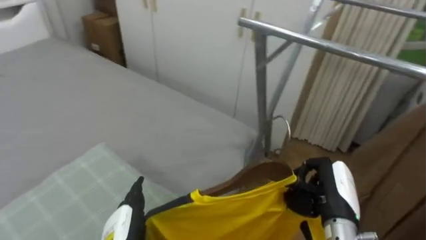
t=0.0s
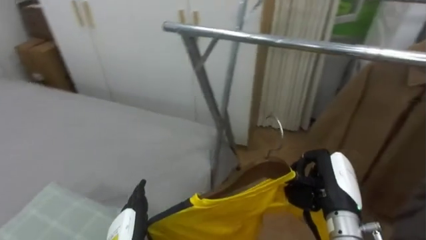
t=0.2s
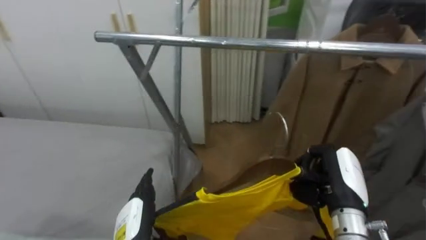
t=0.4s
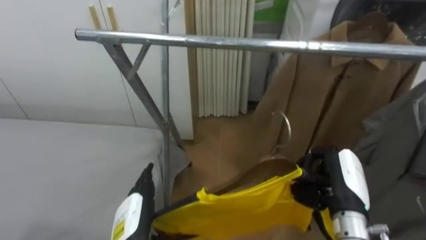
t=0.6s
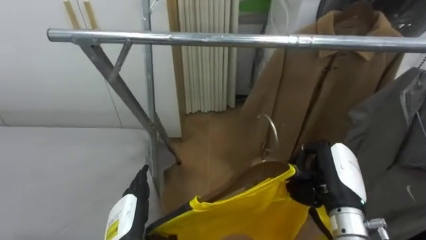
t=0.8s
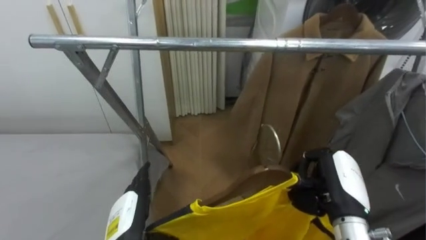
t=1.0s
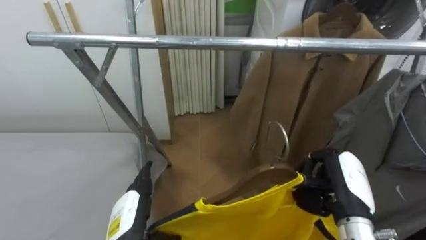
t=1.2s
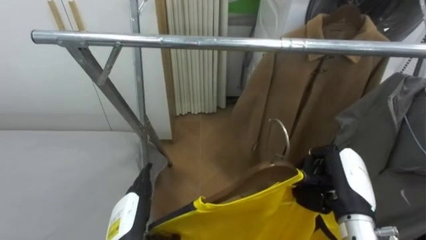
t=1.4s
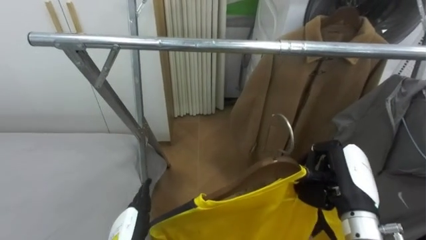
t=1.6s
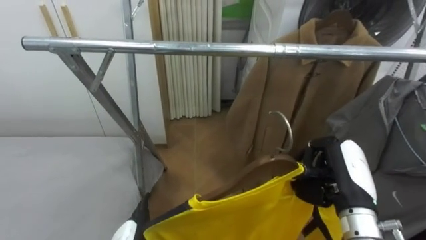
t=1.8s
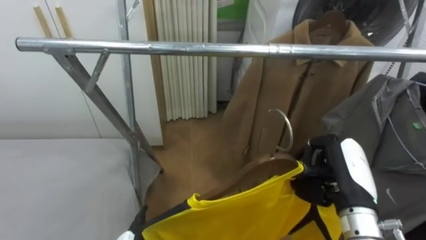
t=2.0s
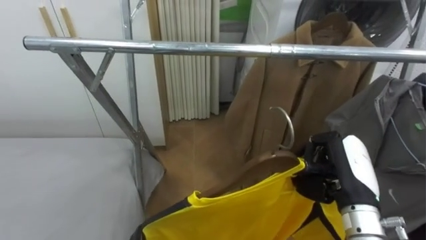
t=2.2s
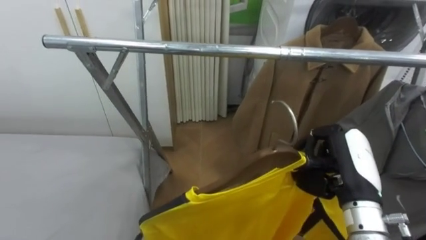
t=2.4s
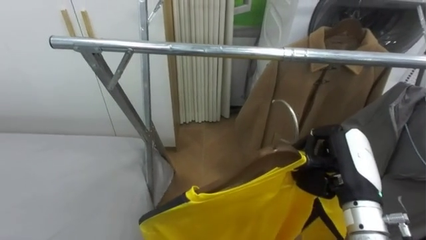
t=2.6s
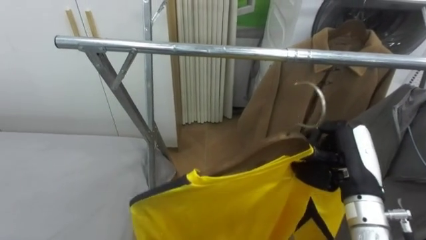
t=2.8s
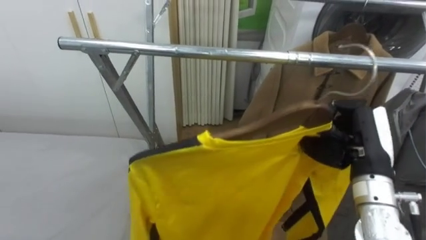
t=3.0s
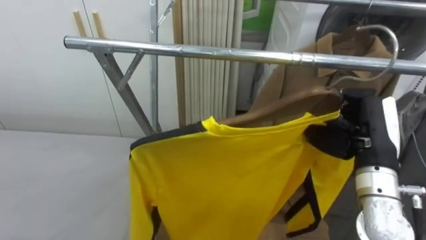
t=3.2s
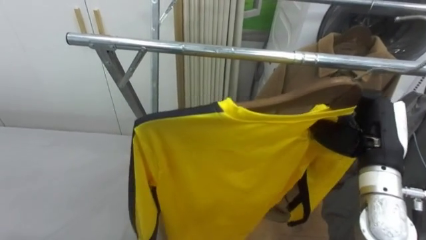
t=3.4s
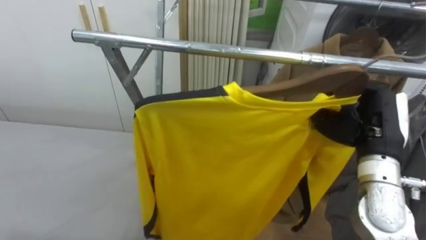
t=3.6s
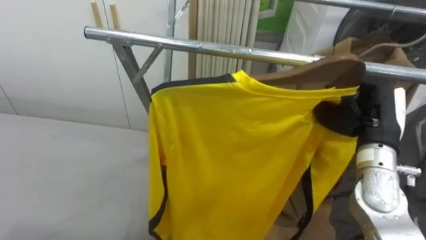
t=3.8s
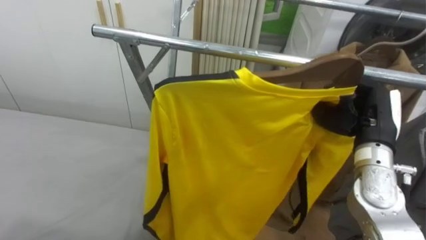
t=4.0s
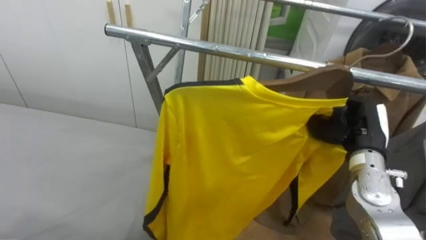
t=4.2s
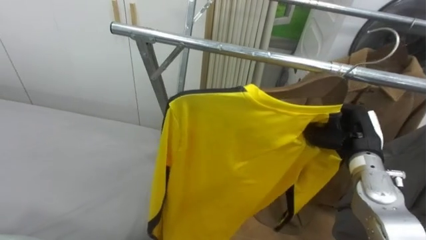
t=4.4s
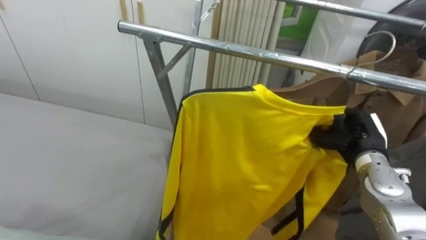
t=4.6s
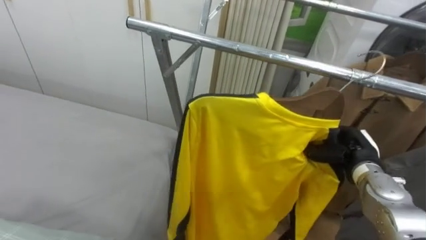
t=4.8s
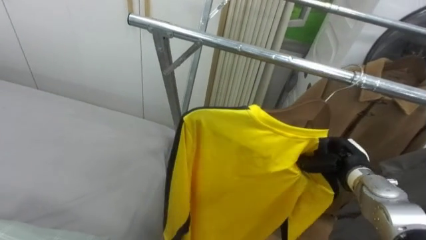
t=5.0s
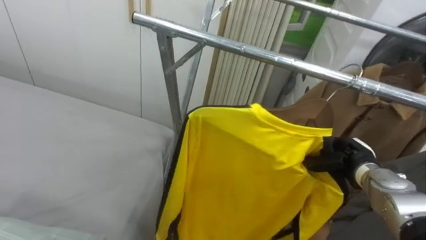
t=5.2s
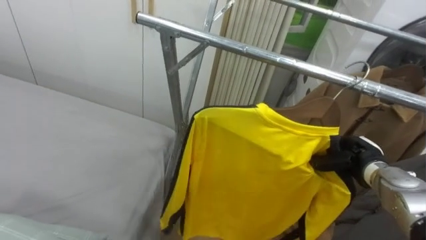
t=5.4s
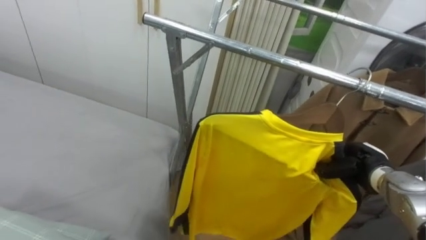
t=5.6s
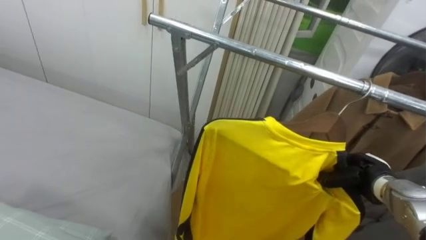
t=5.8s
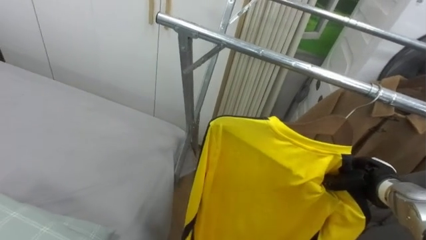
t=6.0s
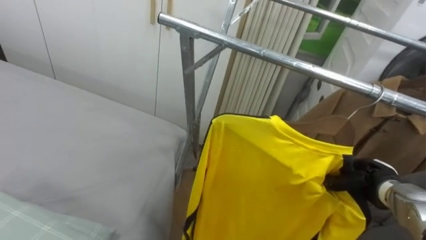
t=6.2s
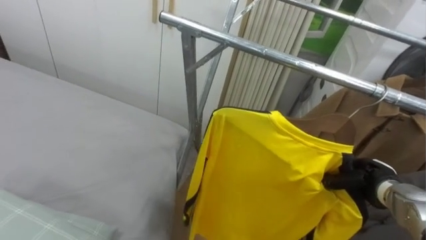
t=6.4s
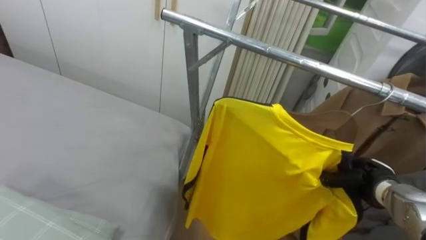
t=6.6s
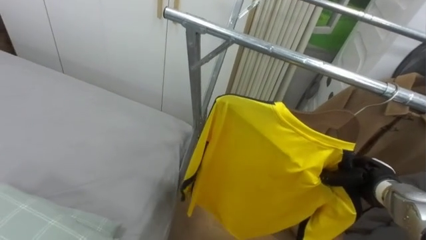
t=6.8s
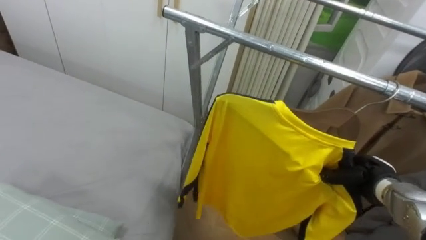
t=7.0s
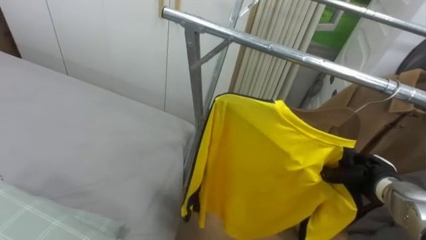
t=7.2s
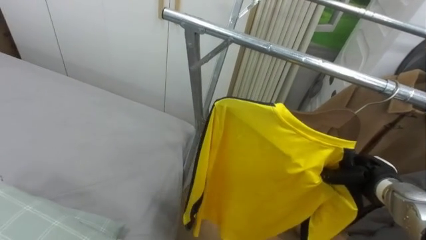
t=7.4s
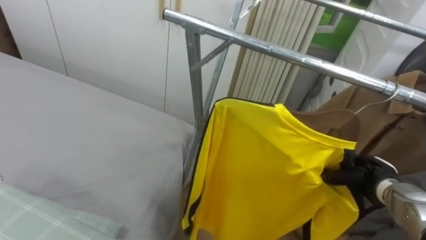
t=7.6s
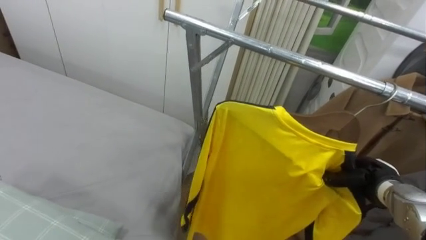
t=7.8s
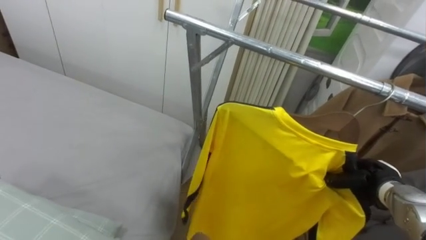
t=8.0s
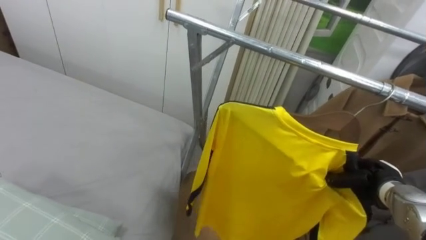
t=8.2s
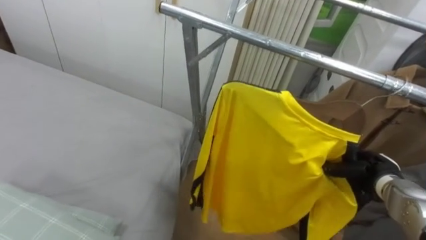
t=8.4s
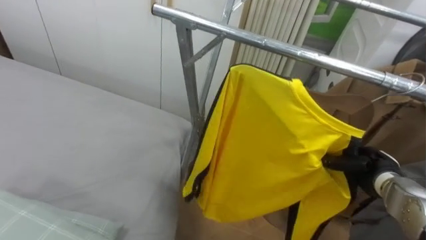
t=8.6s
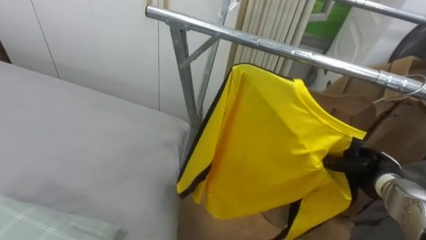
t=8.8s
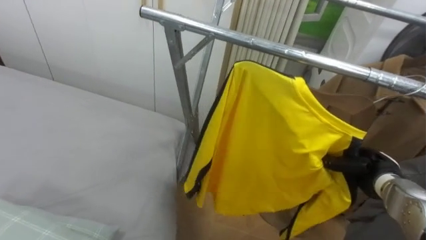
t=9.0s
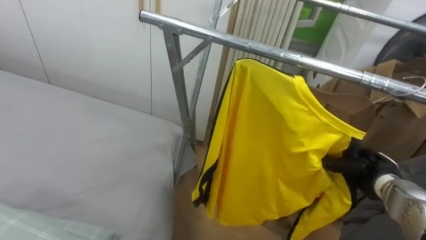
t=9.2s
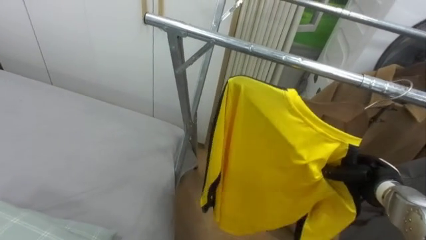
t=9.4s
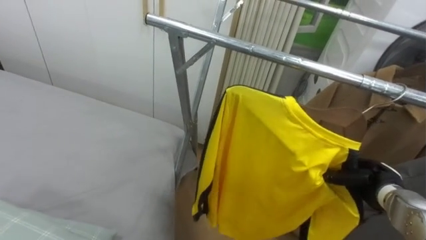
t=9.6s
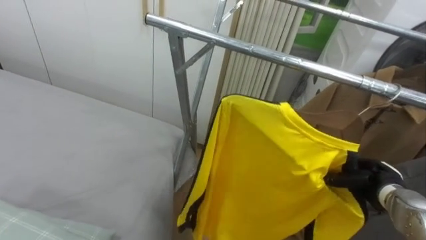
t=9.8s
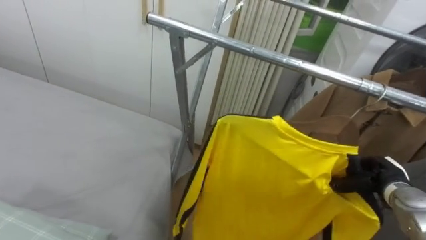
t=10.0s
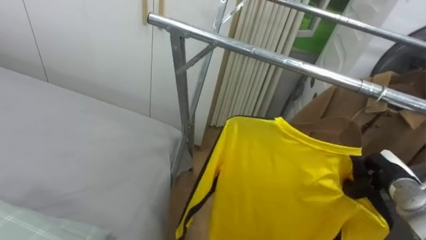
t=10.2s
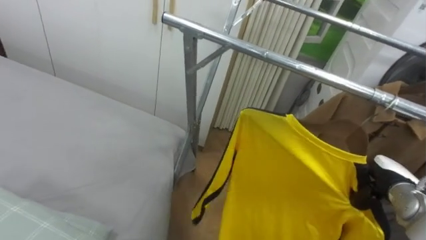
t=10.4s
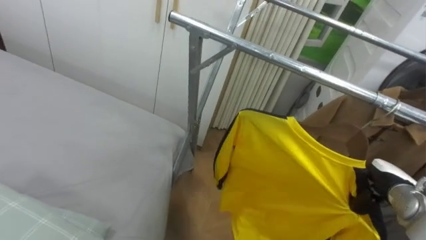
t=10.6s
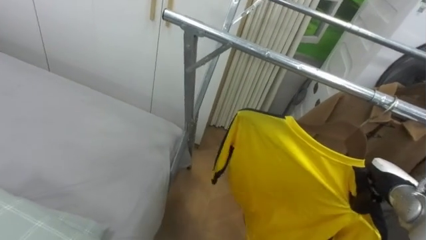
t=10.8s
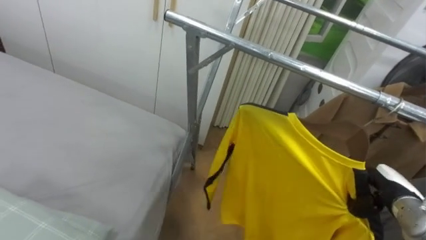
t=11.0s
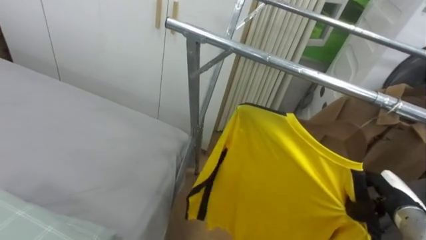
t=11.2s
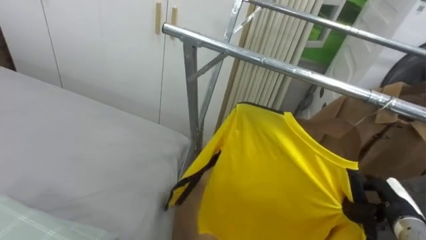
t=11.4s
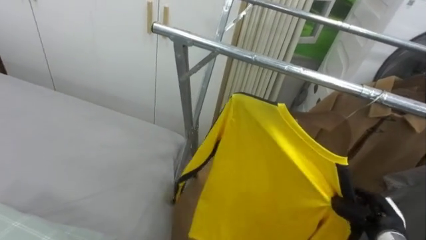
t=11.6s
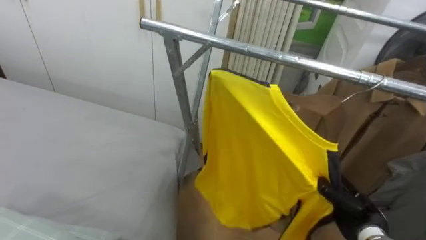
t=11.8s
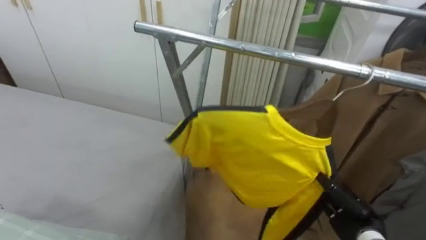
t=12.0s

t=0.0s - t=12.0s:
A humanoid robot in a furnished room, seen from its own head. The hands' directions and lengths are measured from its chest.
Task of the whole recording: Pick up the yellow shirt on the bed and hang it on the clothes rack on the right.
t=0.0s - t=1.6s: The robot's body swings roughly 35 degrees to its right. The right hand shifts approximately 5 cm upward.
t=1.6s - t=3.0s: The right hand is displaced upward by roughly 5 cm.
t=3.0s - t=4.4s: The right hand travels forward and downward by about 10 cm.
t=4.4s - t=6.0s: The right hand heads downward and to the right, covering approximately 10 cm.
t=10.4s - t=12.0s: The right hand goes approximately 10 cm downward, to the left and backward, and opens.

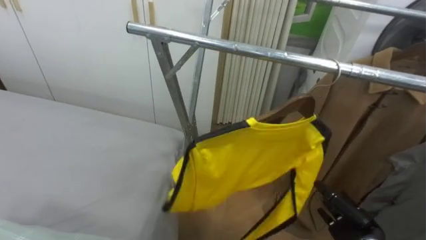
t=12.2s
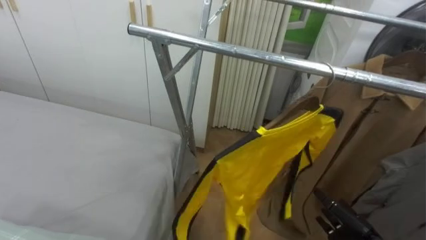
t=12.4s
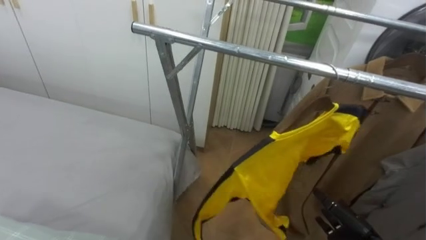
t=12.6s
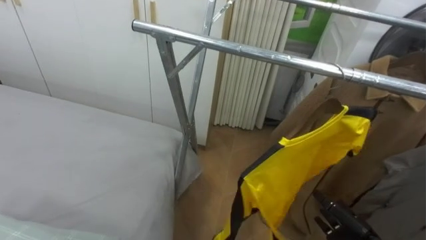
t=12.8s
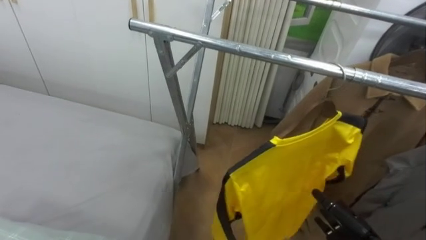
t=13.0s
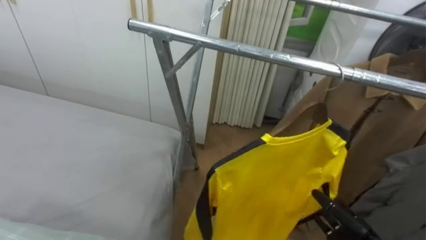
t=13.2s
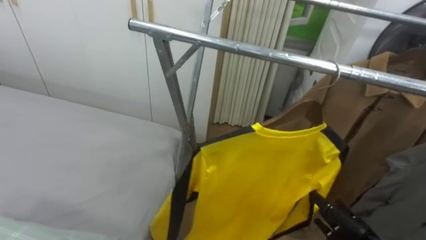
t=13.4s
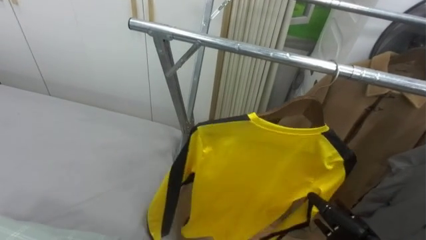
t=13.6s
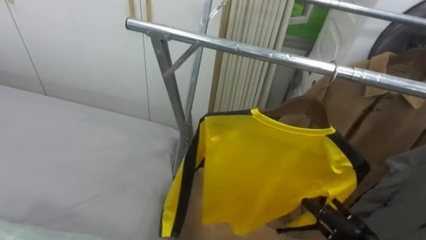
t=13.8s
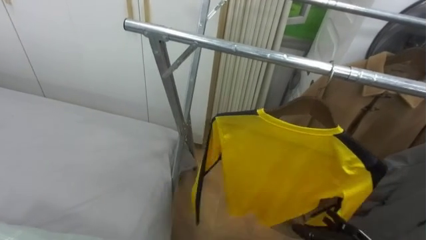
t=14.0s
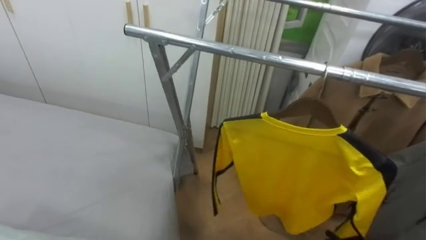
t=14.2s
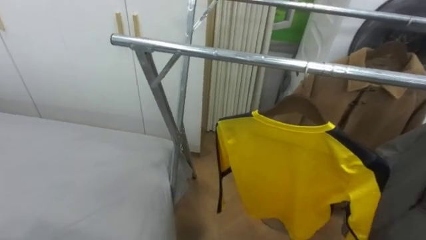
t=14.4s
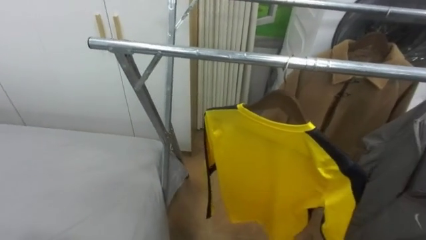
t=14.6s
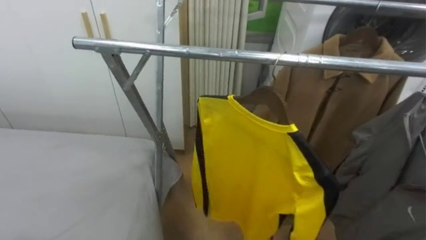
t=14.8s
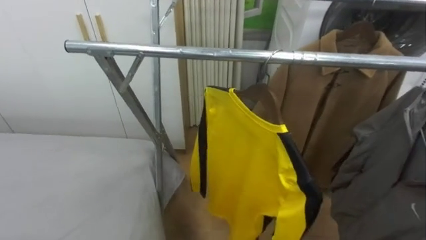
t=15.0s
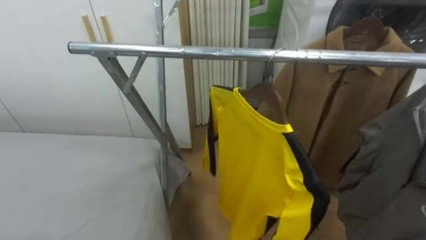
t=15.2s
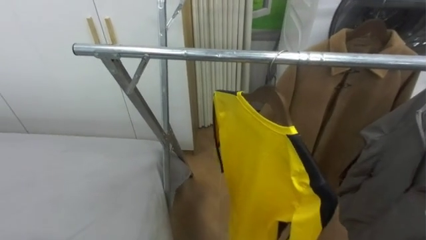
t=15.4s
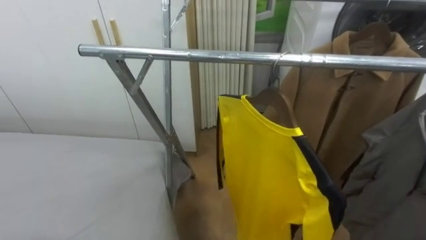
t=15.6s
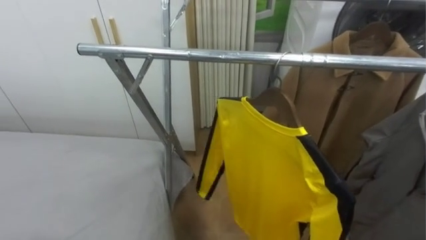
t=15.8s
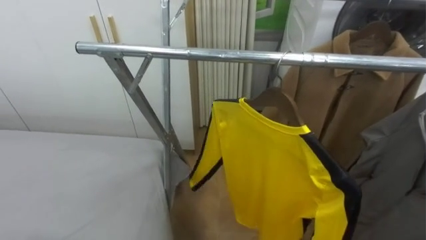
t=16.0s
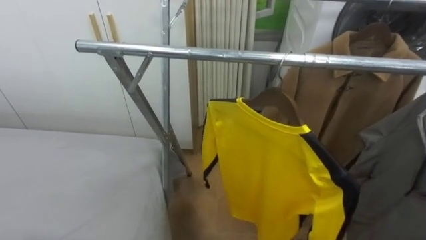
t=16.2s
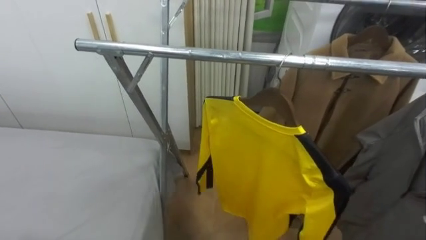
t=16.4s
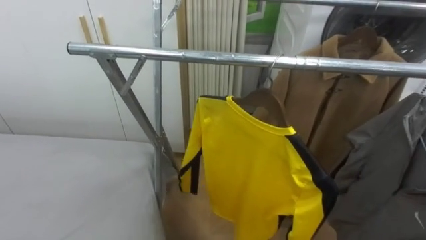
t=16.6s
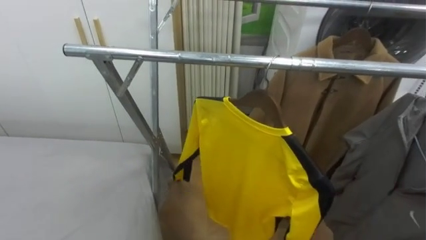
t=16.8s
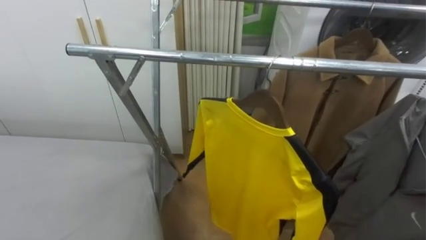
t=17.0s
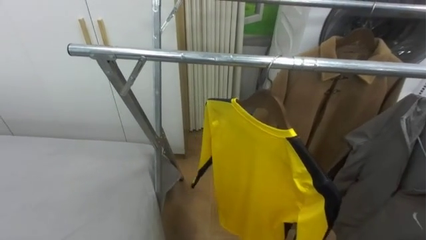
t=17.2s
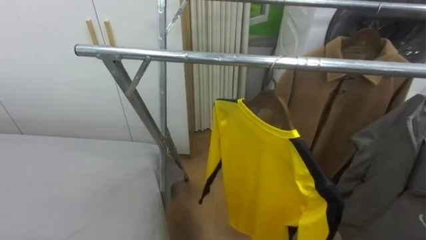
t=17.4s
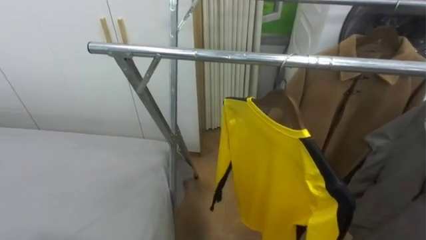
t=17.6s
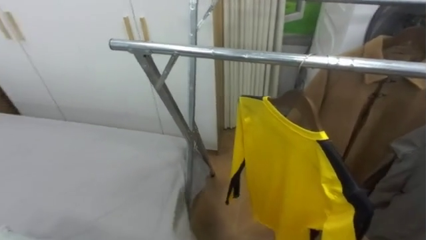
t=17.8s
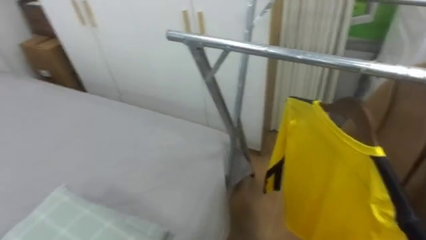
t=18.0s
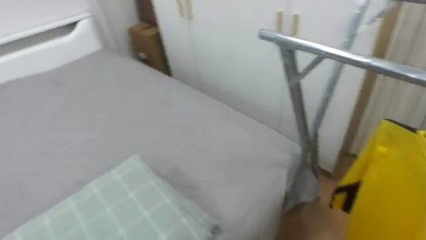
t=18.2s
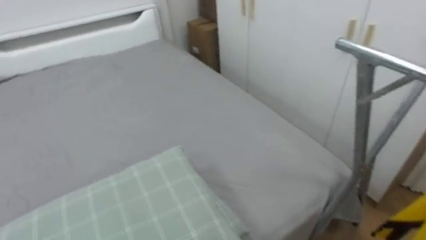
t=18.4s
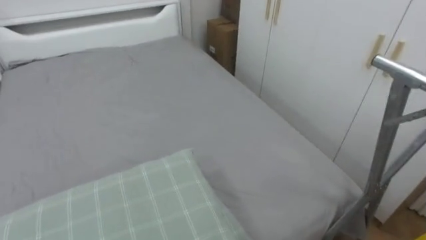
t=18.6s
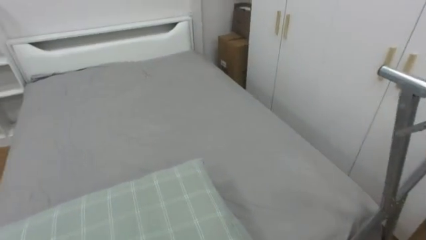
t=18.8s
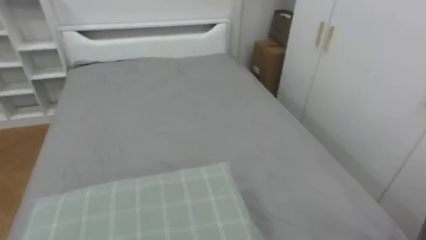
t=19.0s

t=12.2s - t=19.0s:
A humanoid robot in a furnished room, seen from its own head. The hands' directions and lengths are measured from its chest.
Task of the whole recording: Pick up the yellow shirt on the bed and hang it on the clothes rack on the right.
t=17.6s - t=19.0s: The robot faces about 70 degrees further to its left.
